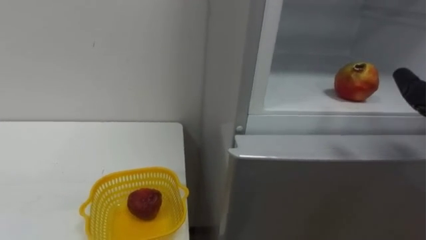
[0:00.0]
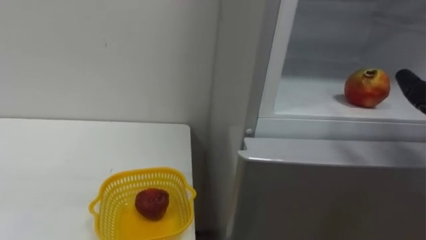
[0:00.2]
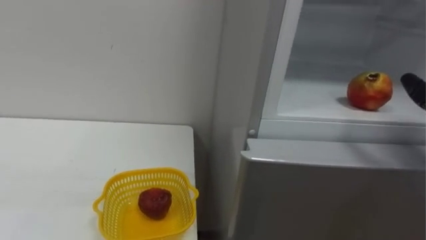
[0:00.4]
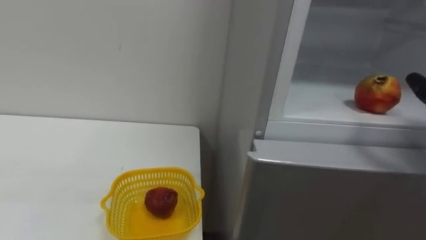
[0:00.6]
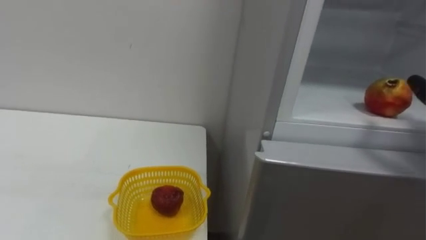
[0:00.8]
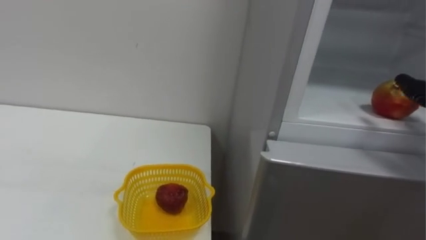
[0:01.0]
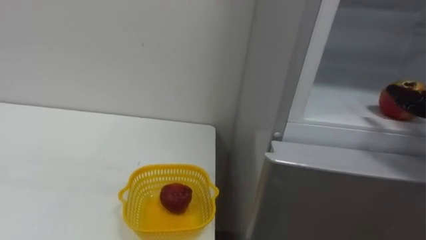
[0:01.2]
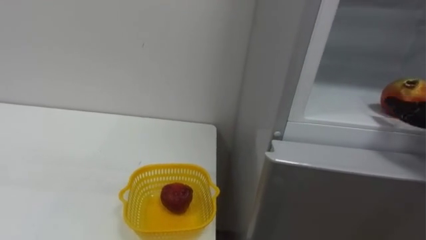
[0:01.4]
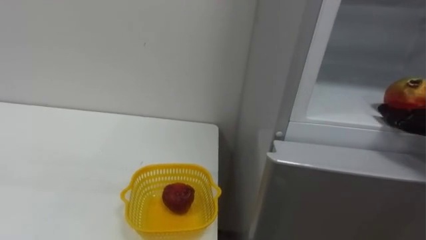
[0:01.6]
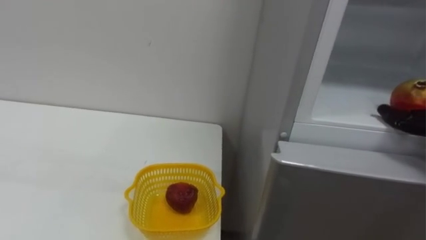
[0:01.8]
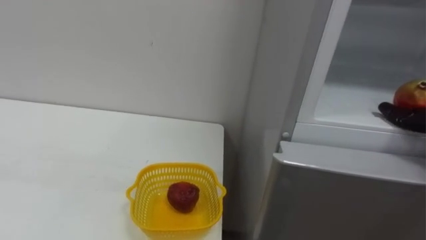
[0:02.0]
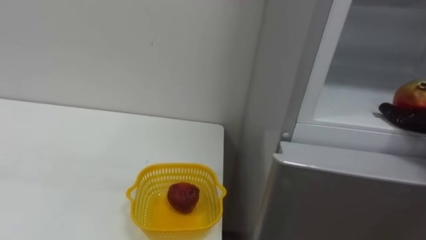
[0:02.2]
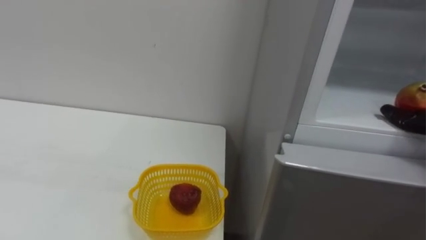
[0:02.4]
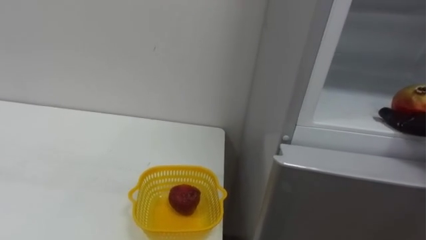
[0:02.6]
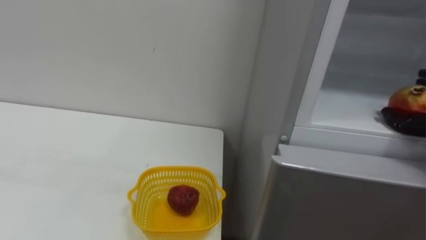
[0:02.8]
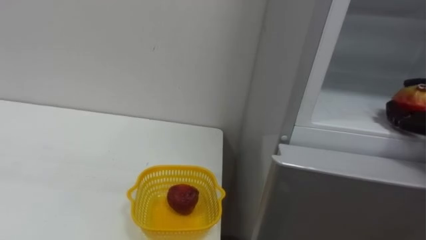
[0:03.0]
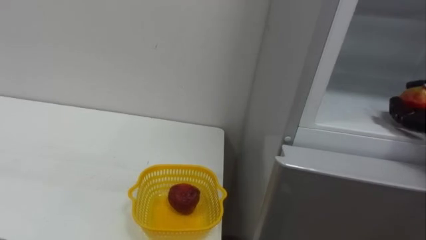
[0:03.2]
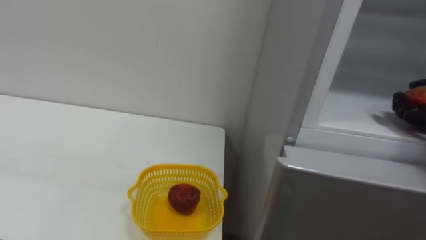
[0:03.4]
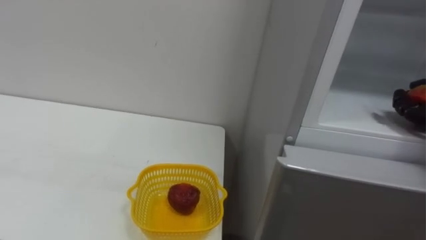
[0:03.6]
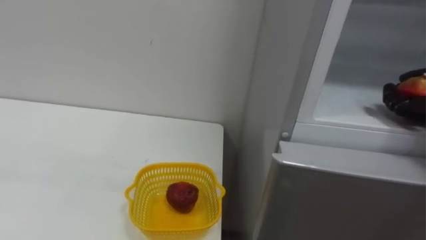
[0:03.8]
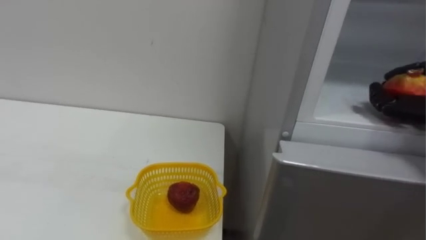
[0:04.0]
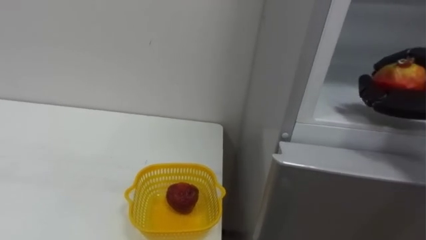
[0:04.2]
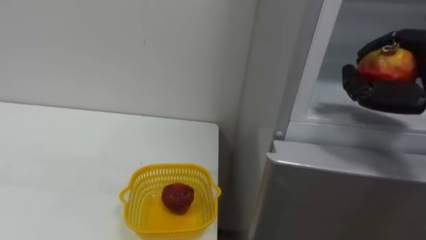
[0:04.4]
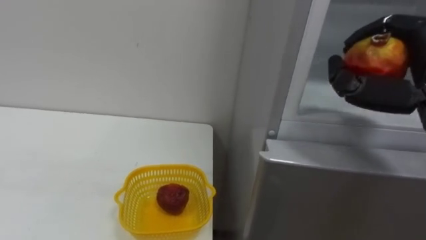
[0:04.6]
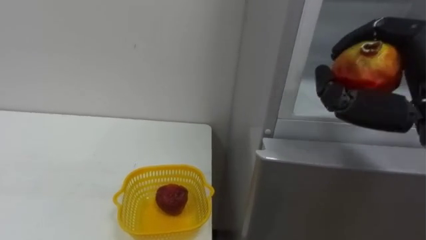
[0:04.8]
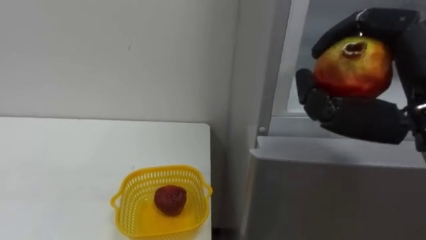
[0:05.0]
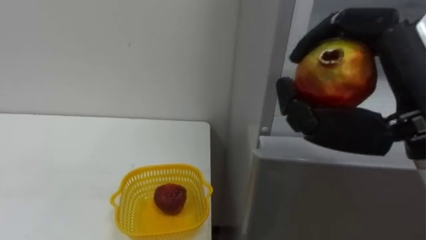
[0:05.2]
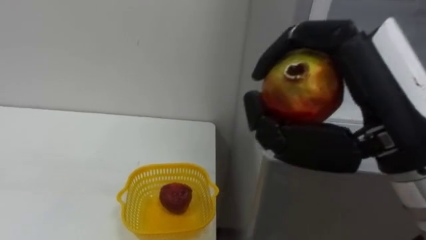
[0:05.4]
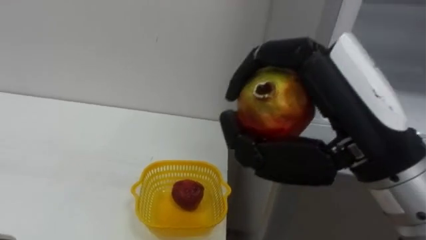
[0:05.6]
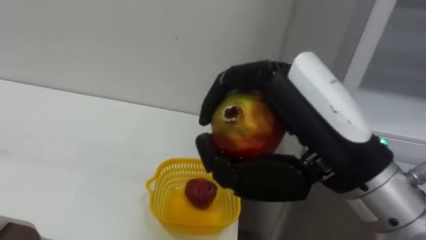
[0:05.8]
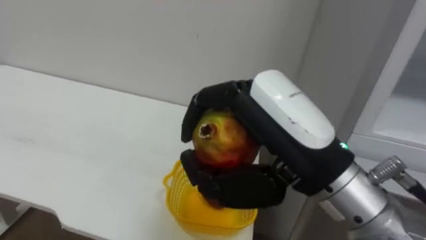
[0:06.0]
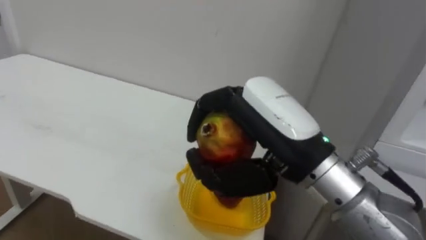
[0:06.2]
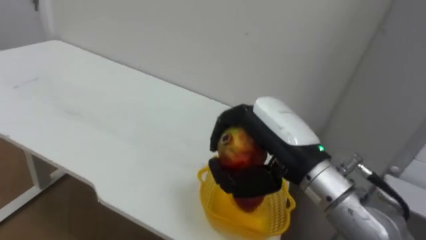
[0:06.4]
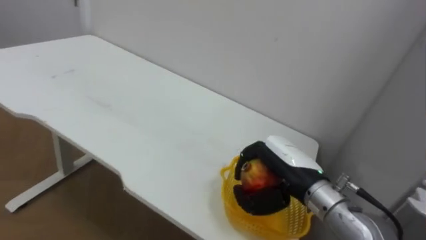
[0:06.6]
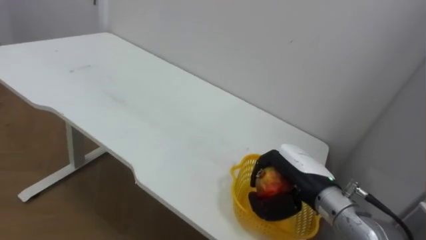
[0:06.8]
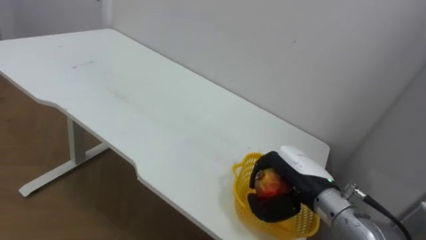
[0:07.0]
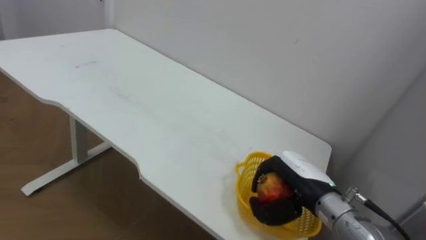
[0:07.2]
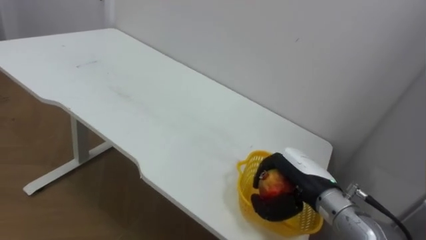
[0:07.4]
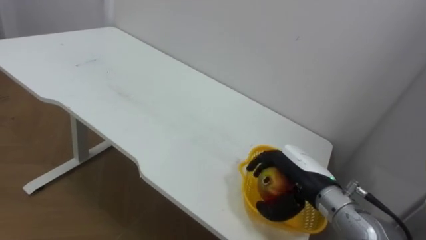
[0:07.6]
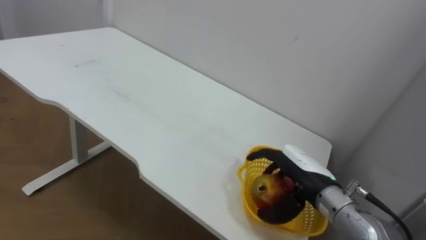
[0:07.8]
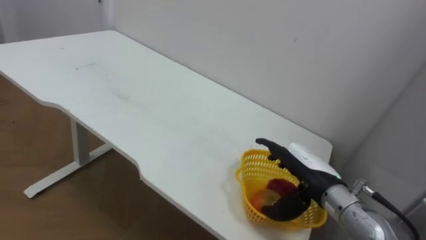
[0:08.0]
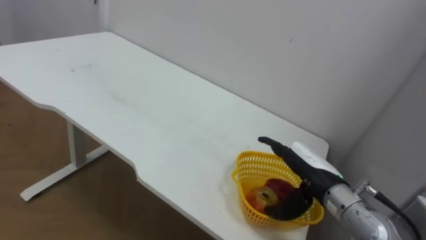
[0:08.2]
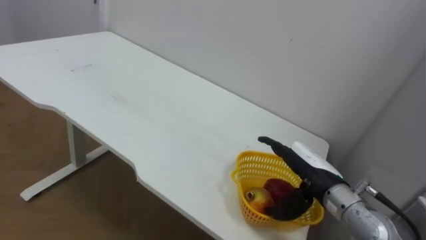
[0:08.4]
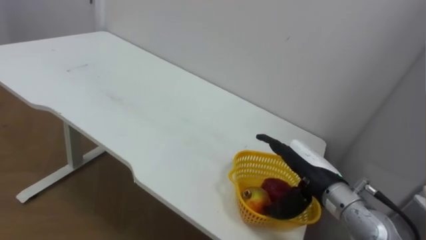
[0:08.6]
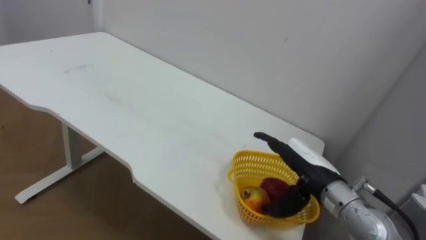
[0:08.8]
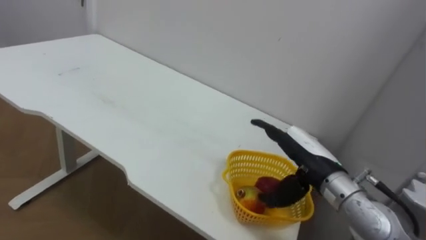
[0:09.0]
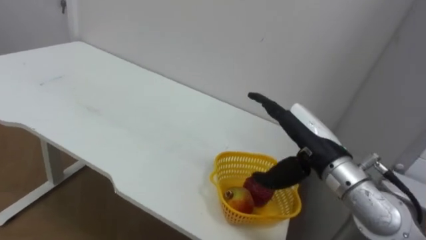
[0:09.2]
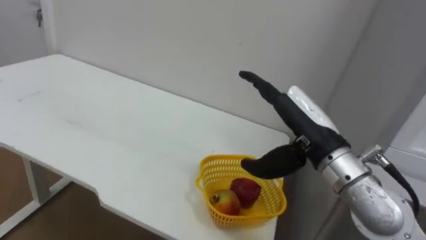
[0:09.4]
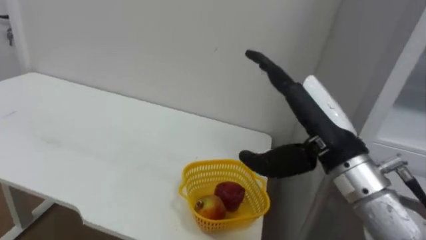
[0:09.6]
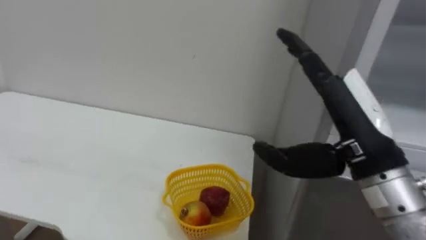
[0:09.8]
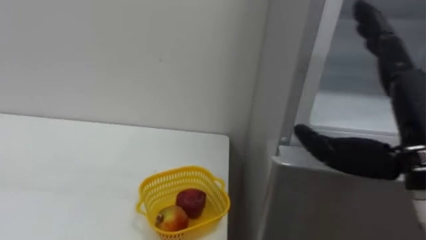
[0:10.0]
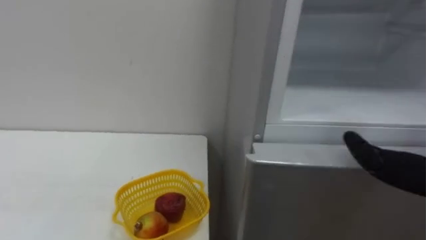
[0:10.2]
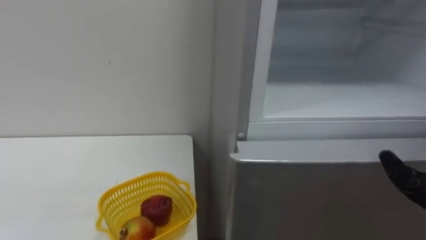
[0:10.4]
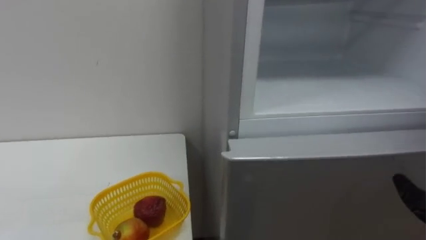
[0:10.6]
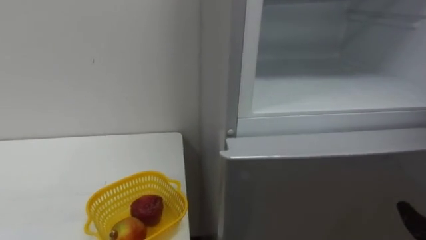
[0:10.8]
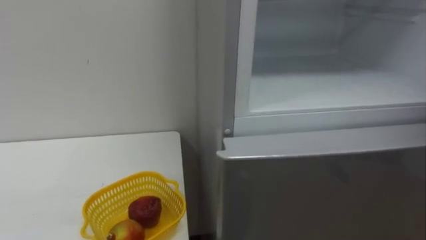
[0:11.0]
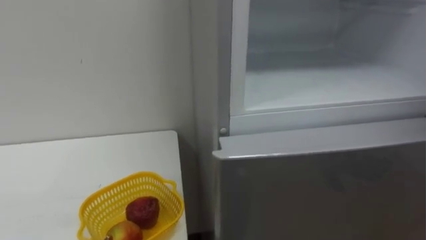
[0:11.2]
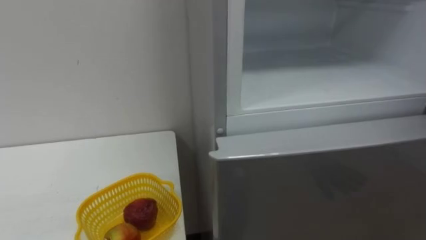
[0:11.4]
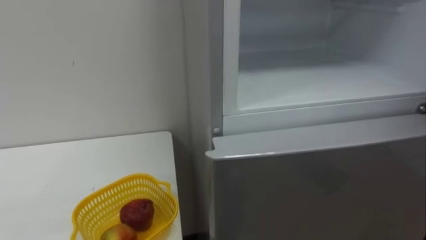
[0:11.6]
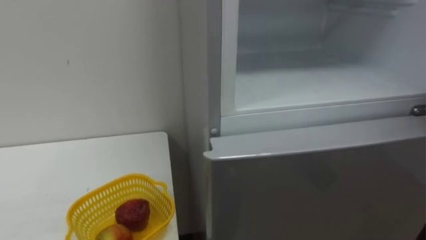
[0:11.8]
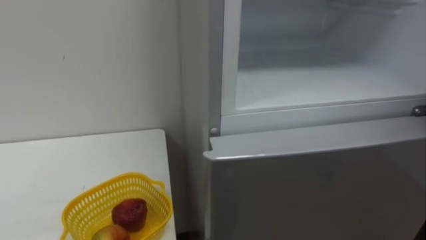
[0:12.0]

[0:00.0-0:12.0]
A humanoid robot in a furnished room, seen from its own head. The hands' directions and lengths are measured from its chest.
Task of the whole recording: Open the refrigerator door, take out the apple and the pomegranate, place them in the fruit basket on the left, and close the refrigerator door.
0:06.0 to 0:07.6: The right hand goes roughly 25 cm downward and forward.
0:07.6 to 0:09.0: The right hand opens.

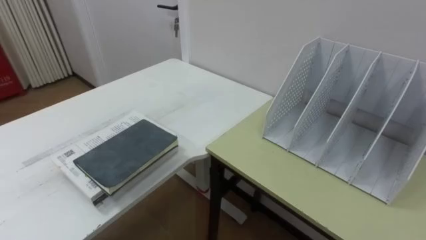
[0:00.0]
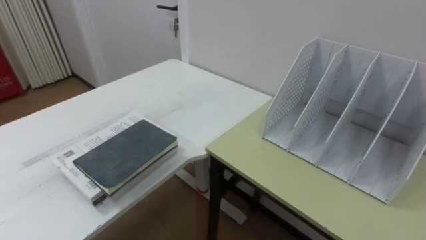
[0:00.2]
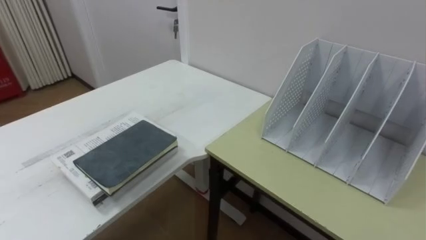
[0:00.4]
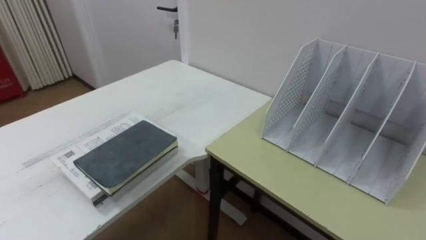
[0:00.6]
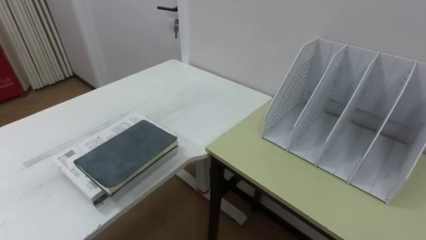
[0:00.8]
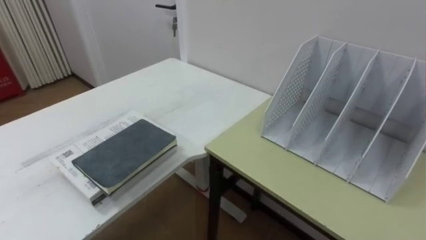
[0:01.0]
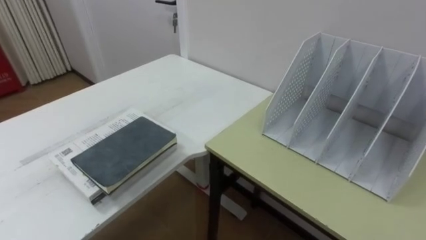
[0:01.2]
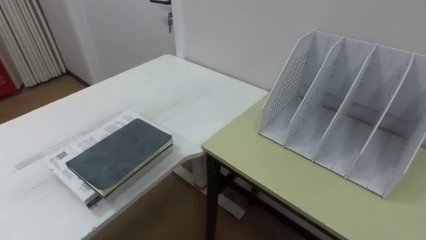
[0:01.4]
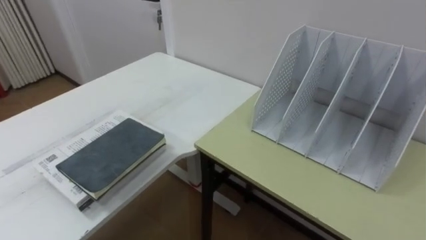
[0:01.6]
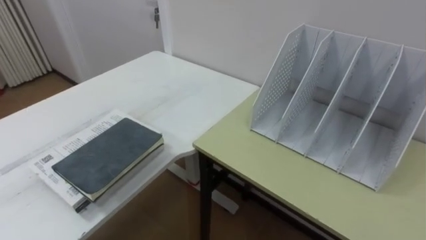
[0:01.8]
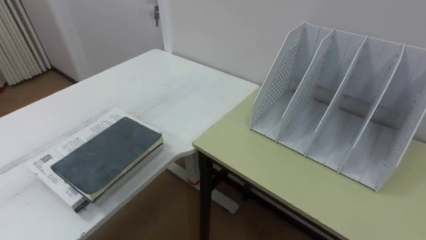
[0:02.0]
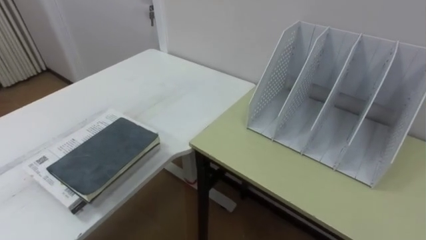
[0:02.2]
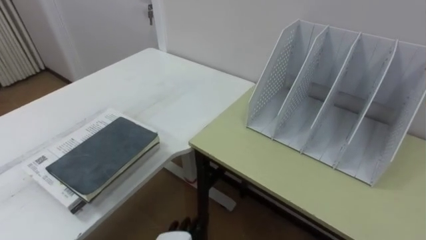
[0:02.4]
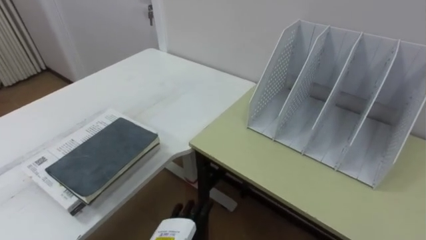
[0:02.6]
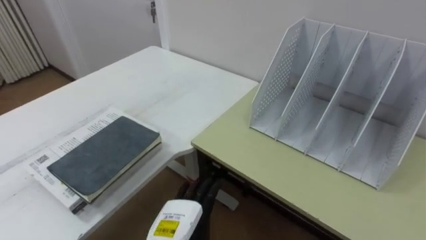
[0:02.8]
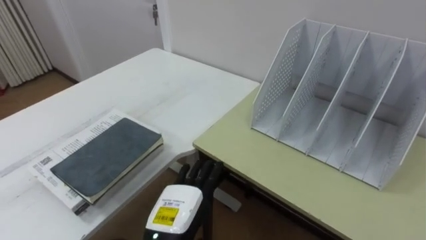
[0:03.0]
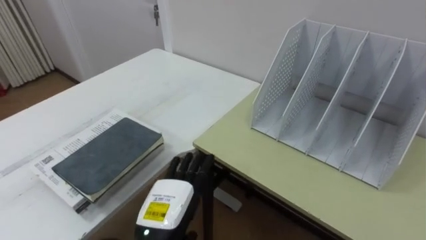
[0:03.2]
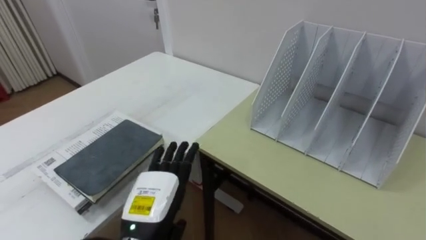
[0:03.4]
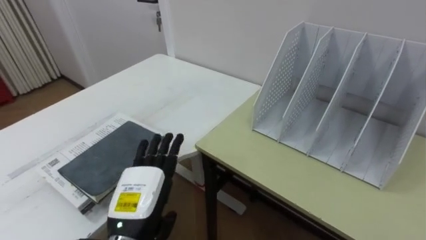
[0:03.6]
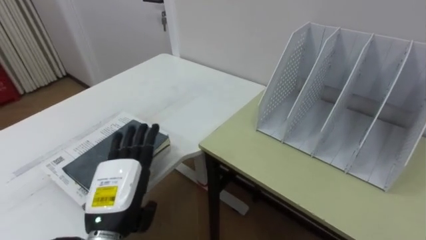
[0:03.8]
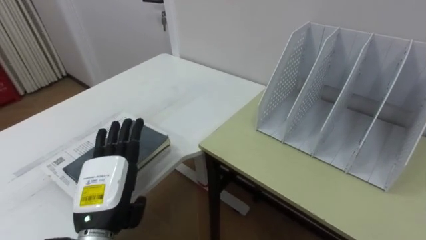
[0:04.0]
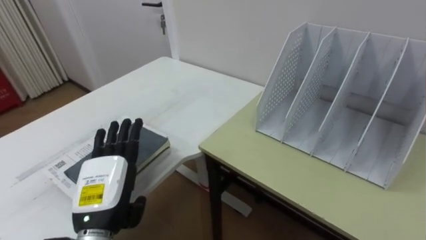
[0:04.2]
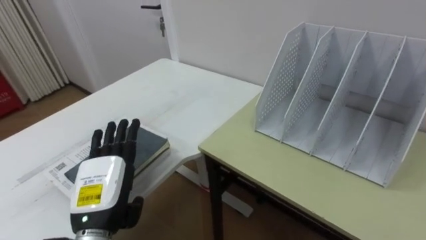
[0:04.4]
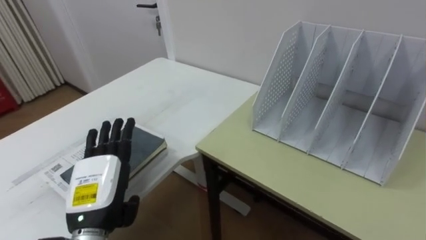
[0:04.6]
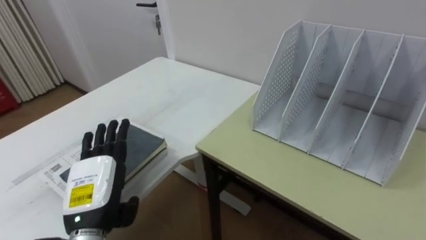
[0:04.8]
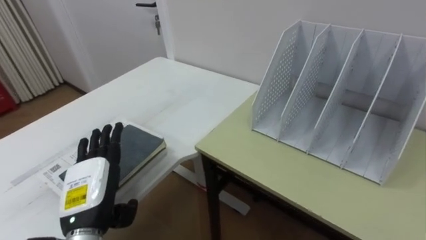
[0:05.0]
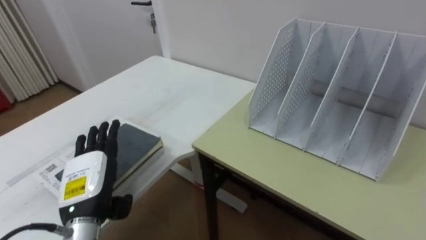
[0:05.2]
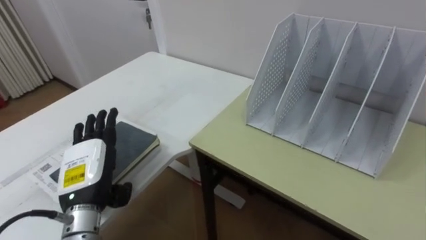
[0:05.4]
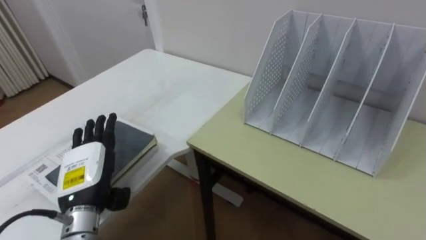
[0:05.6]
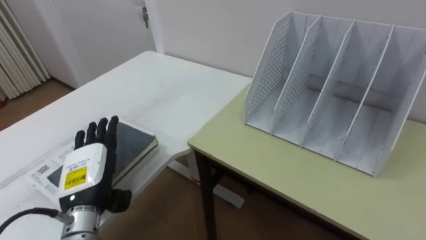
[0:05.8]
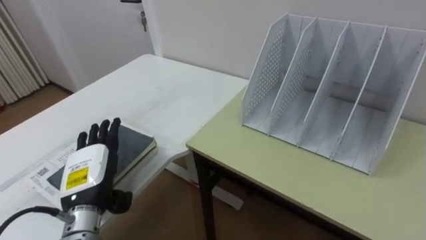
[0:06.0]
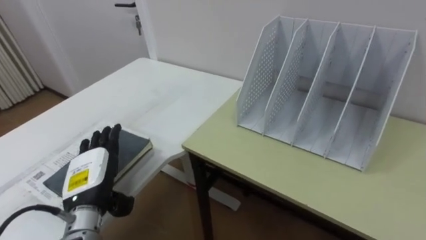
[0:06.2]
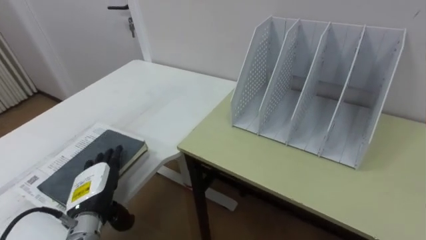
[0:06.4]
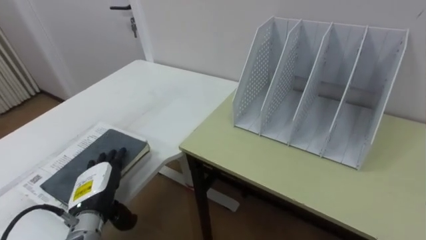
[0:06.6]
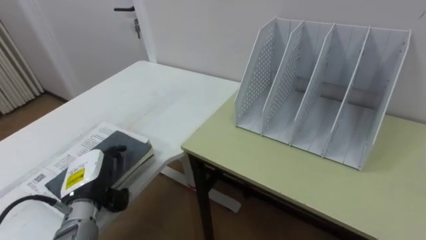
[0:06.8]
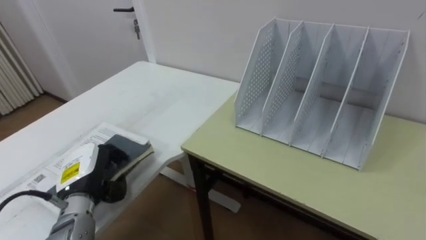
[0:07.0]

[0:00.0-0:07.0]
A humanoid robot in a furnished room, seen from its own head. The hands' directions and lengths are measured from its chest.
Task of the whole recording: Put the books on the table onto the bookshelf.
0:02.8 to 0:04.2: The left hand travels to the left and upward by about 15 cm.
0:05.6 to 0:07.0: The left hand closes its fingers.
